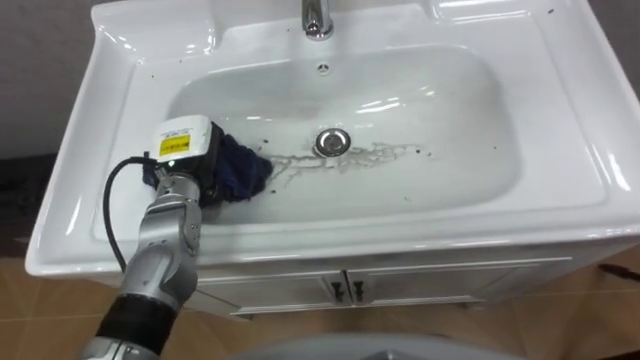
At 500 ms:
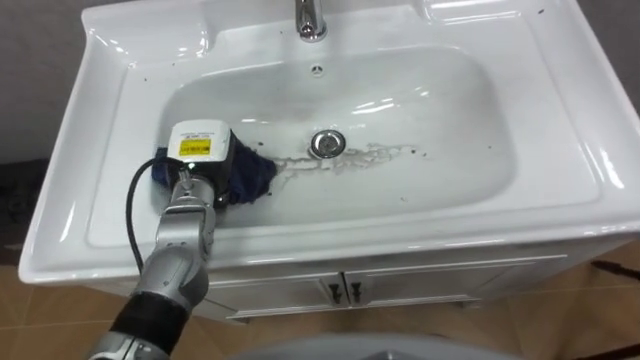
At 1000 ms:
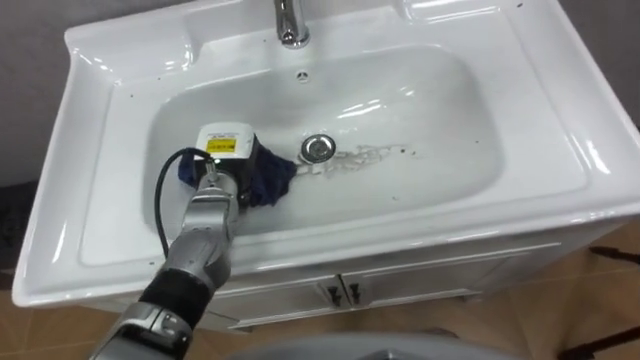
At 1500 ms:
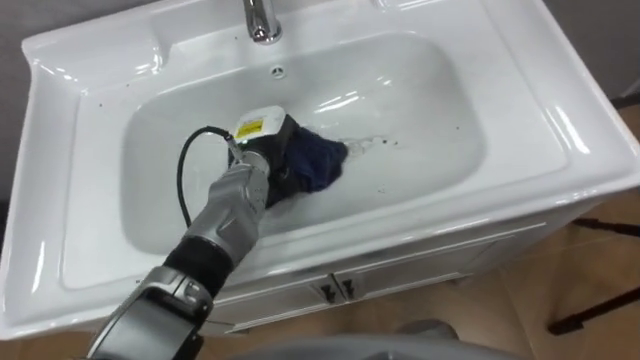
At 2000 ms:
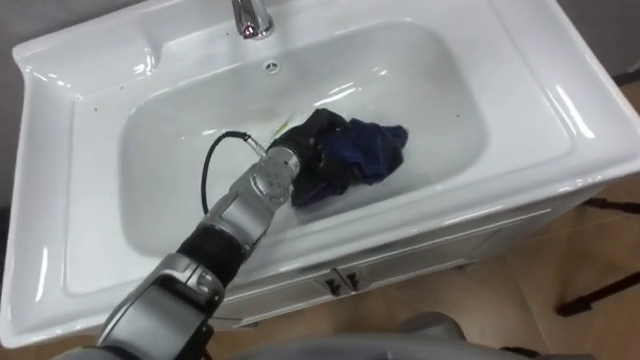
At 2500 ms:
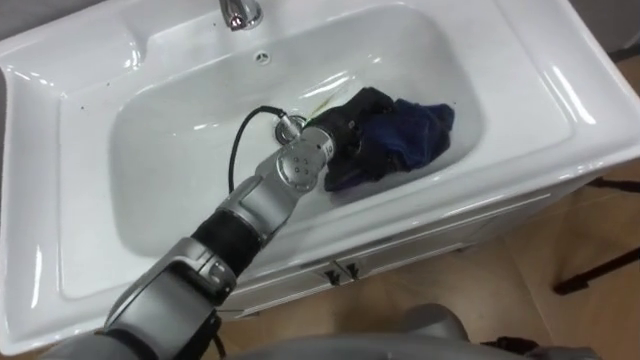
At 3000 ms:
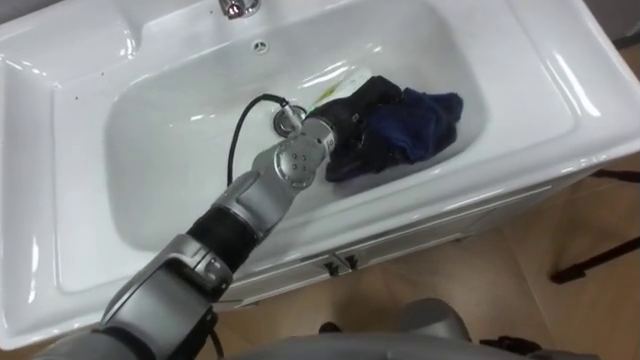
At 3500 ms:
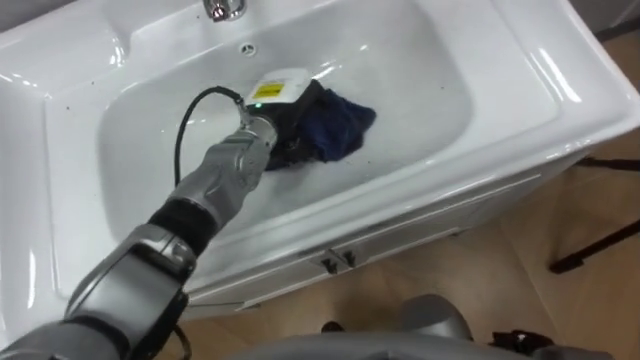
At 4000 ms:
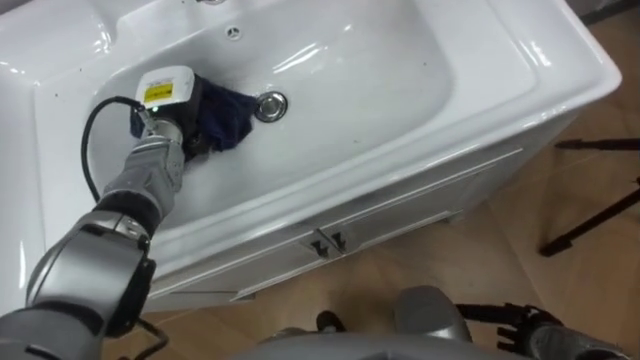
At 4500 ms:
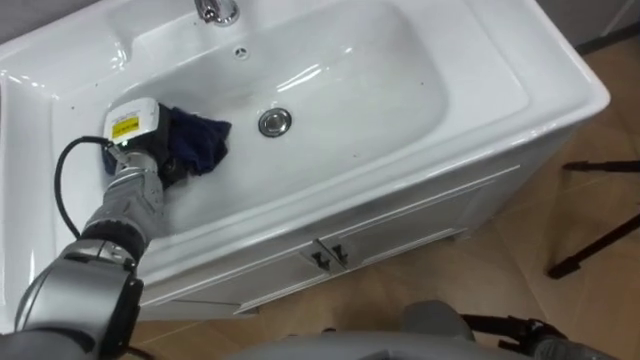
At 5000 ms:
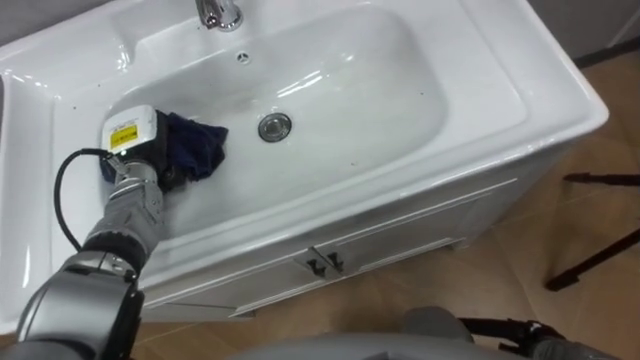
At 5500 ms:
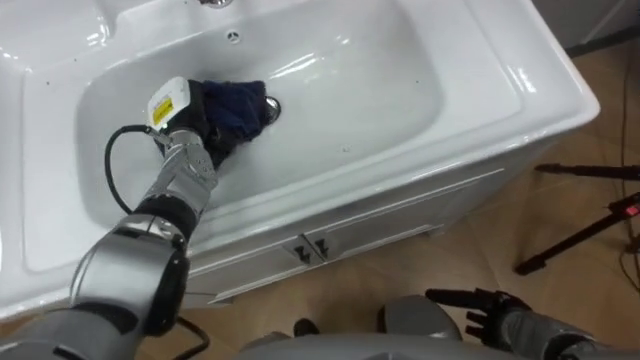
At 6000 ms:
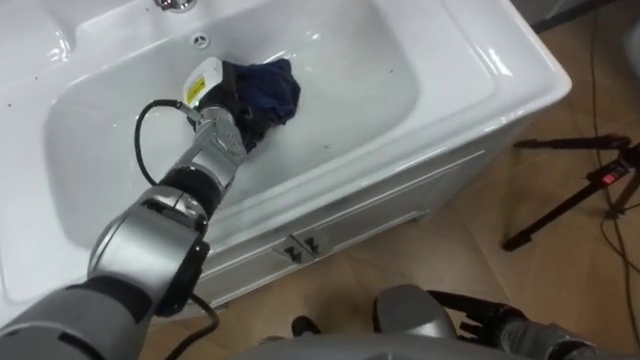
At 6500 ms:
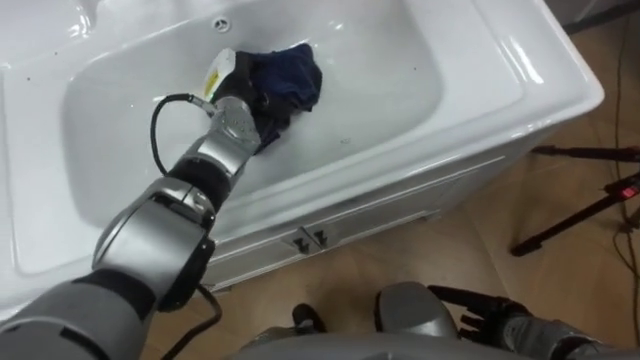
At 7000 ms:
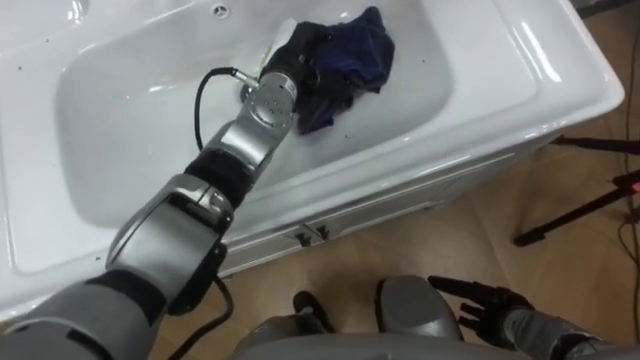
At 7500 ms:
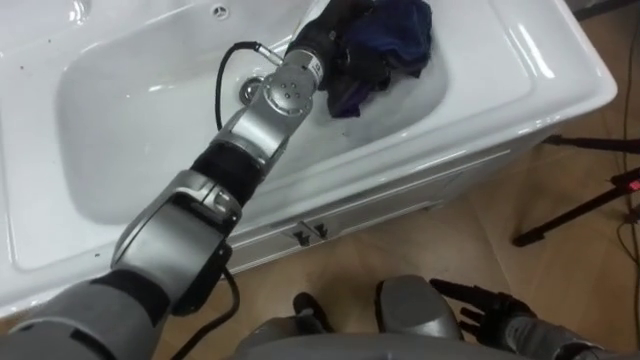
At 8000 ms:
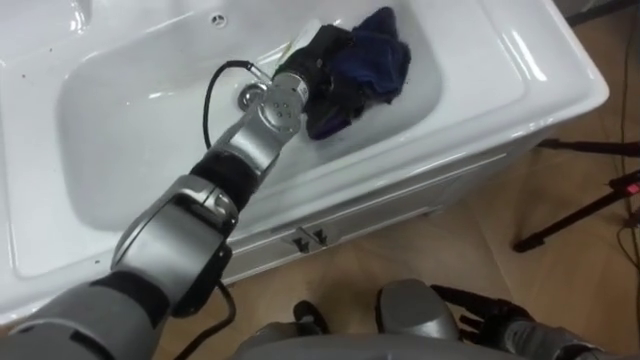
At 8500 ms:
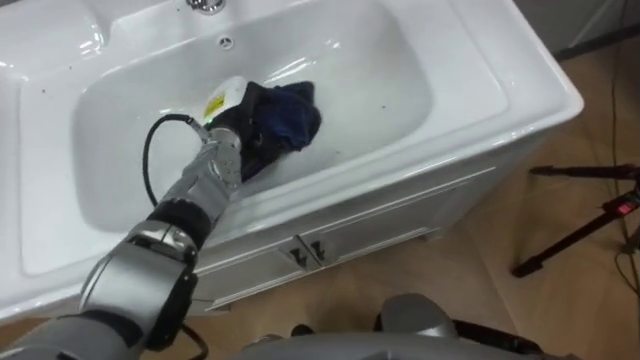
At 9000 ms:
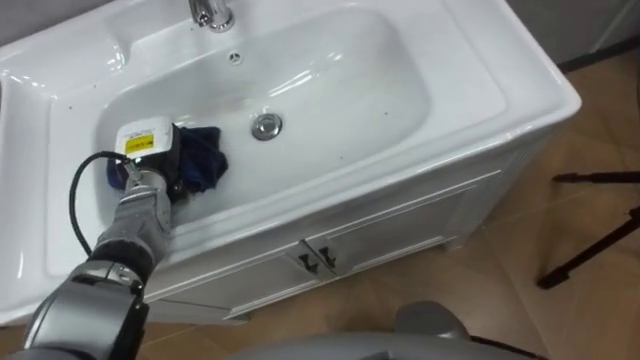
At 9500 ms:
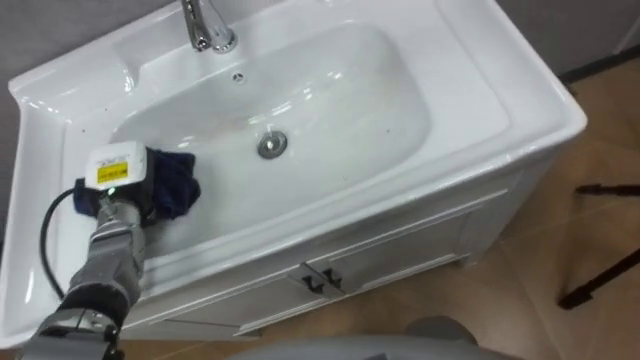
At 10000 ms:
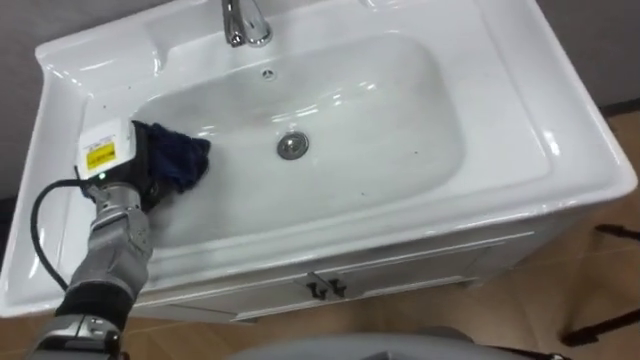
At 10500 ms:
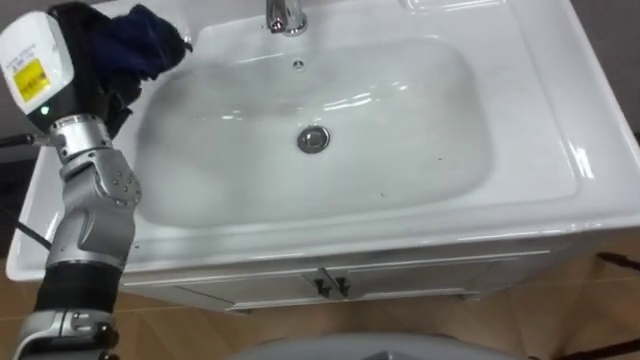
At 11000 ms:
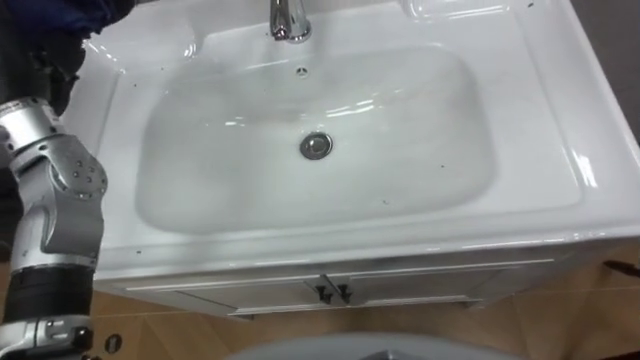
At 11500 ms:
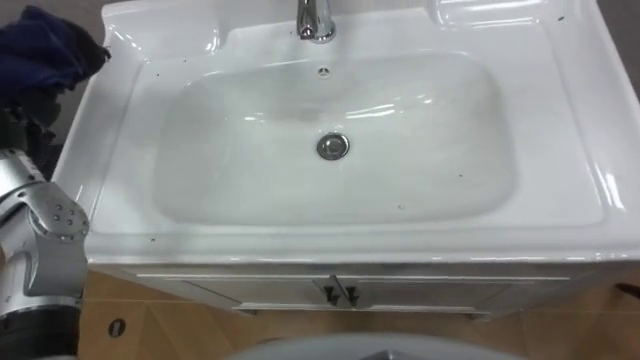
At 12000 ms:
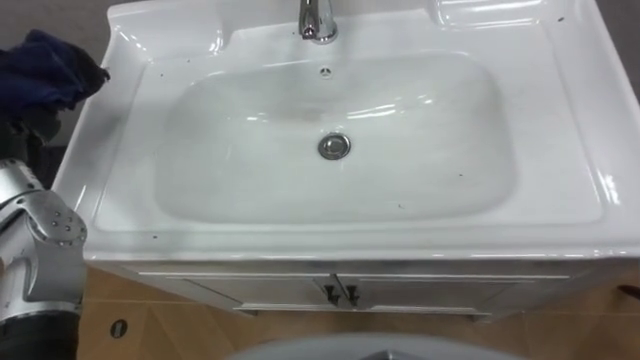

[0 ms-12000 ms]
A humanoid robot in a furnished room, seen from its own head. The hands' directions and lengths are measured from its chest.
Task of the whole recording: Use the cloth on the right to wipe away the black stain in the sink.
0 ms to 2000 ms: The left hand shifts about 15 cm to the right.
2000 ms to 4000 ms: The left hand shifts roughly 20 cm to the left.
4000 ms to 6000 ms: The left hand goes approximately 5 cm to the right.
6000 ms to 8000 ms: The left hand shifts roughly 15 cm to the right and upward.
8000 ms to 10000 ms: The left hand shifts roughly 30 cm to the left and backward.

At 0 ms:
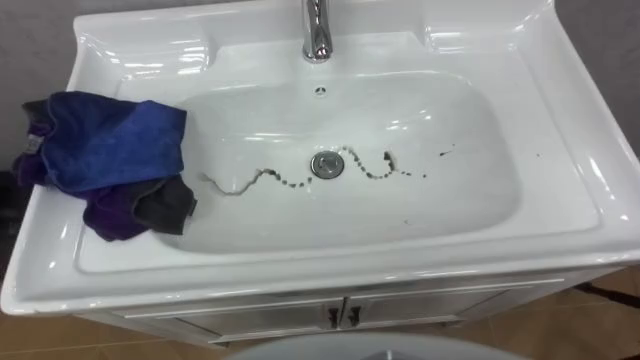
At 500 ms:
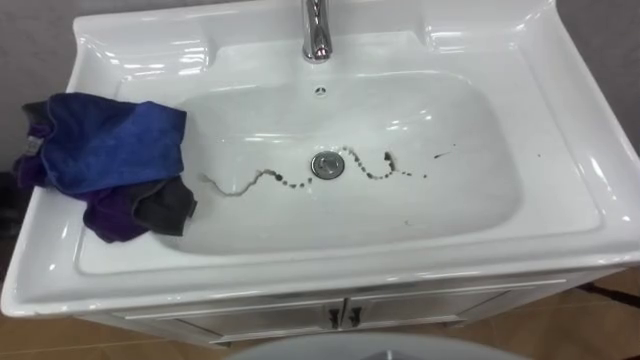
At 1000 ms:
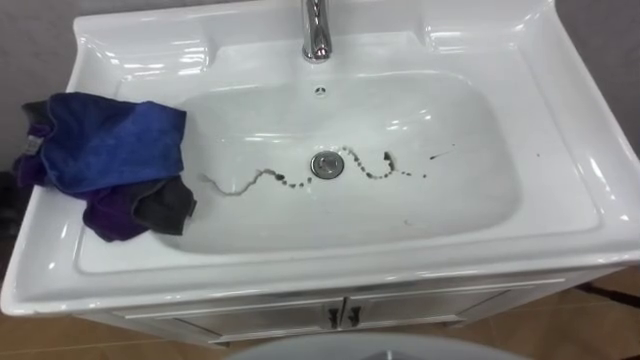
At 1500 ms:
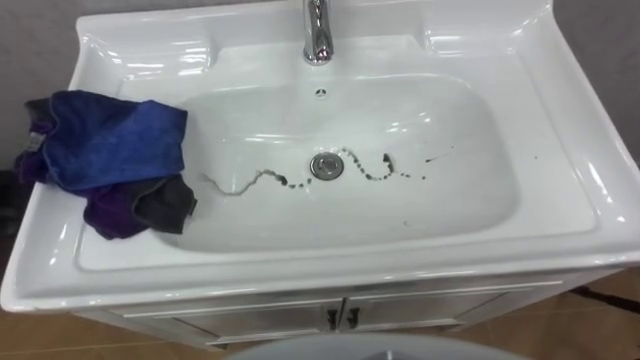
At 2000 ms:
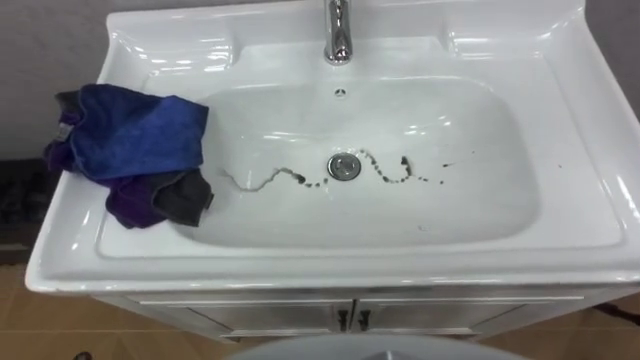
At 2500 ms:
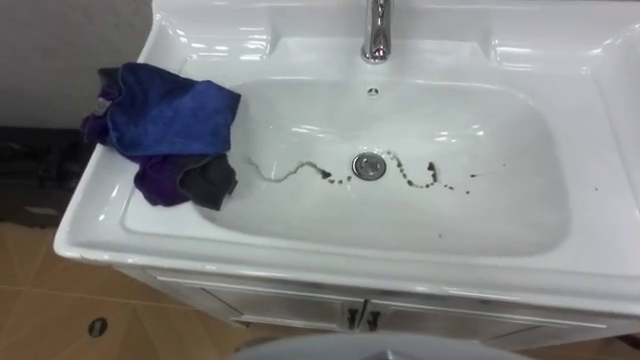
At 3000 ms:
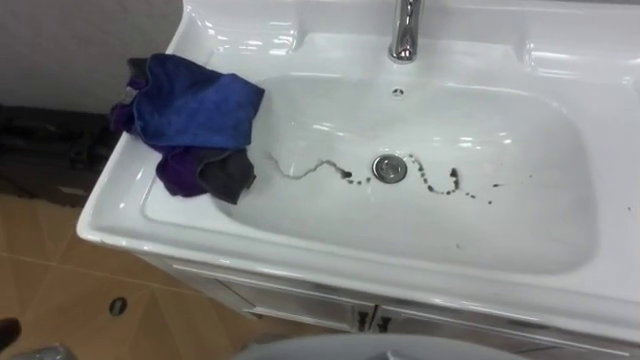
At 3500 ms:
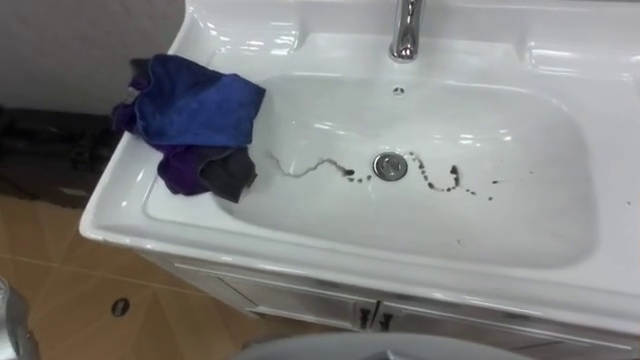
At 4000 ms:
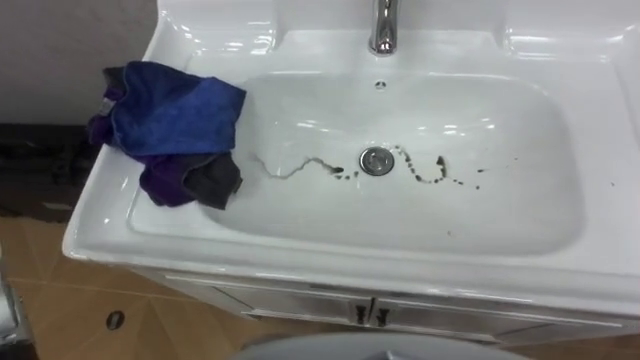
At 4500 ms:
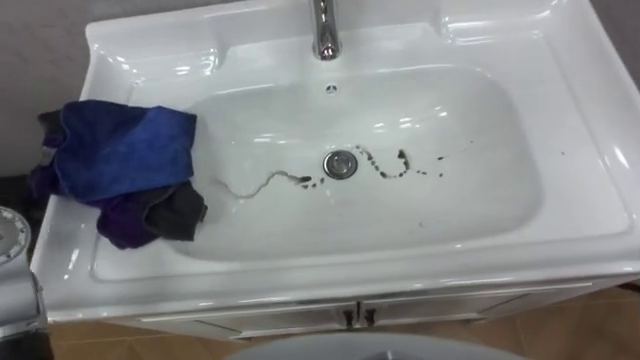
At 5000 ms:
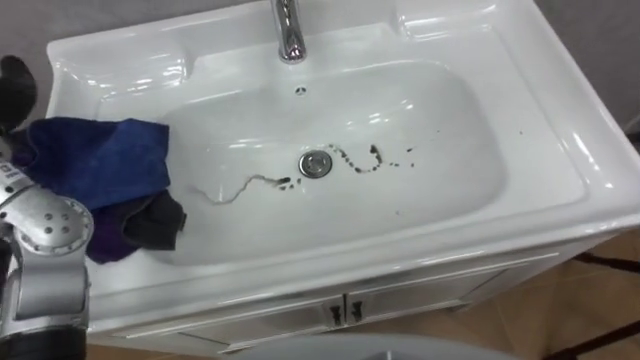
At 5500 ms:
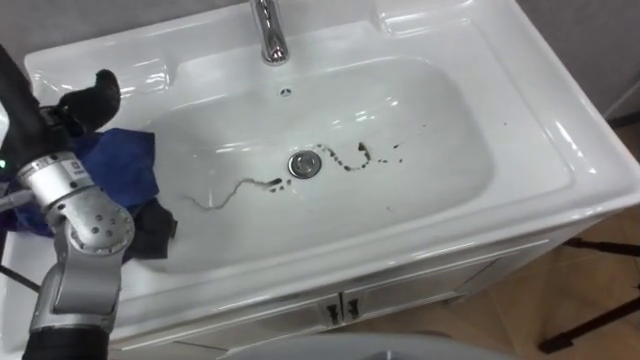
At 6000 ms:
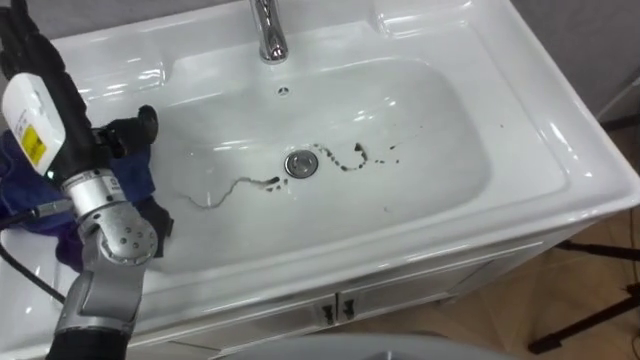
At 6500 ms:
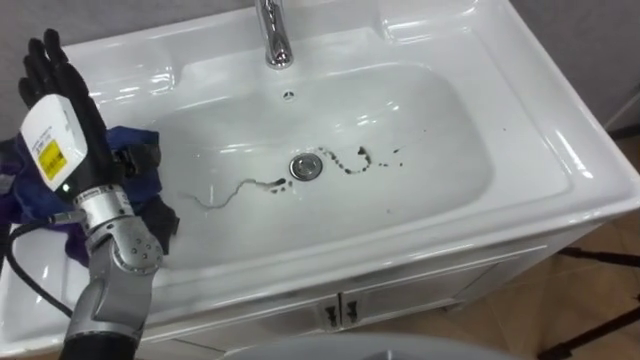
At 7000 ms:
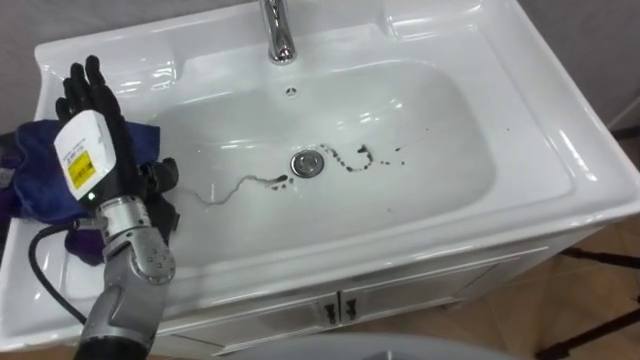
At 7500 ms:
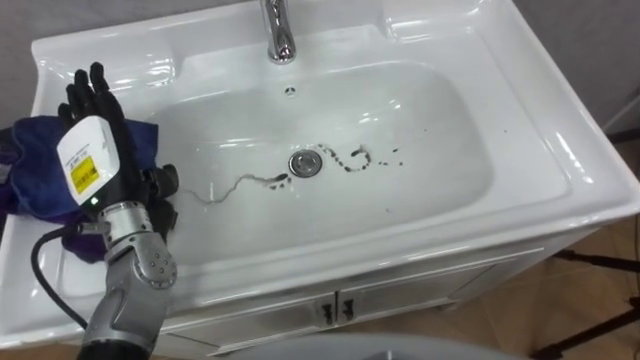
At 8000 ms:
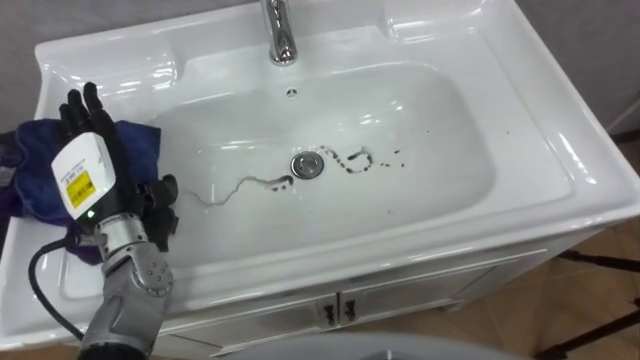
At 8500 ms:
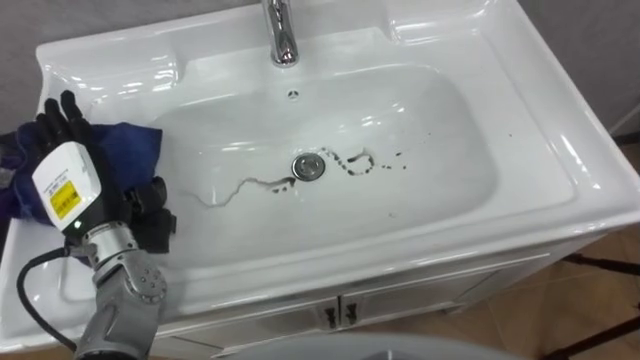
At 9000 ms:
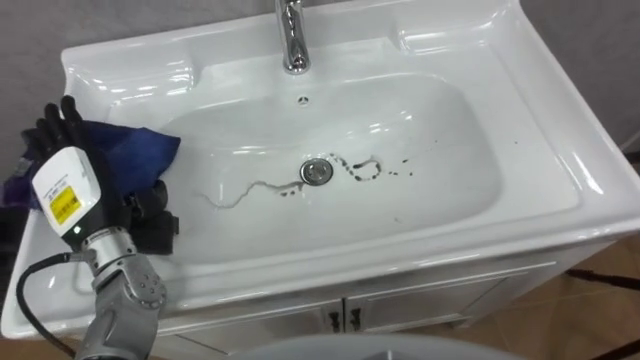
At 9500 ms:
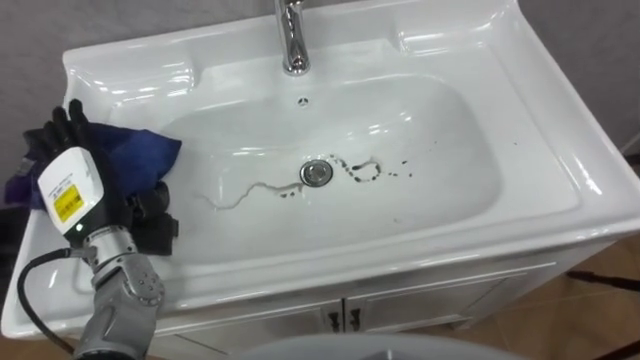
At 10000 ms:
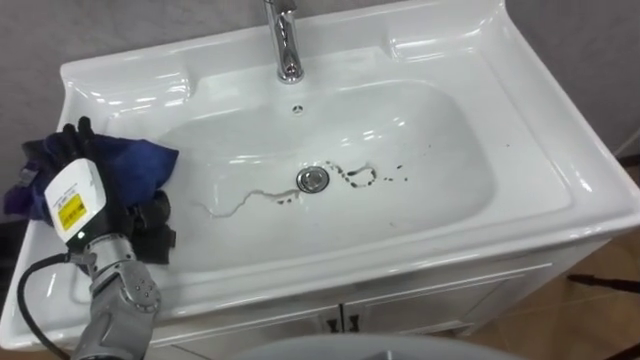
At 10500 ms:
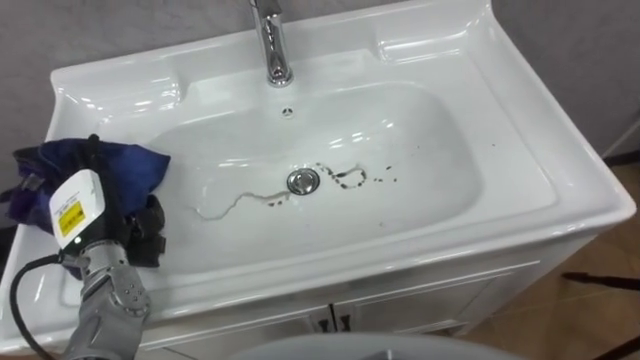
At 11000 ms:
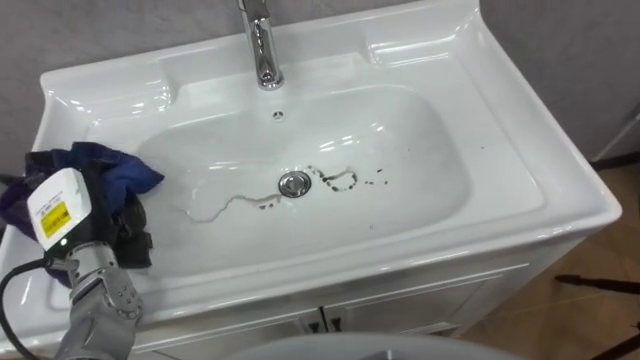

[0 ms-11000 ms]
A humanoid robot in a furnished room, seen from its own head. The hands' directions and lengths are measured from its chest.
Task of the whole recording: Use the cloth on the right to wipe away the black stain in the sink.
9000 ms to 11000 ms: The left hand moves some 5 cm, and closes its fingers.
